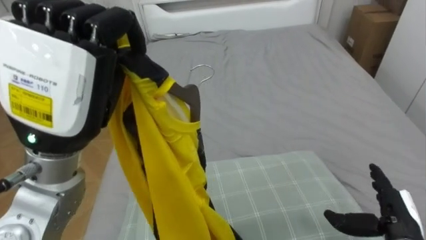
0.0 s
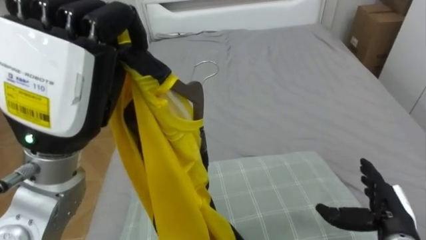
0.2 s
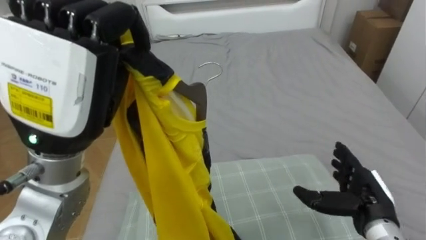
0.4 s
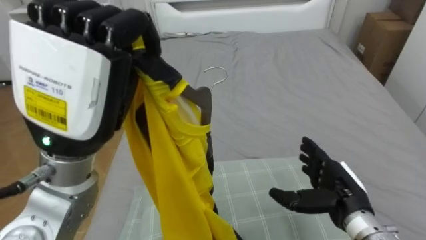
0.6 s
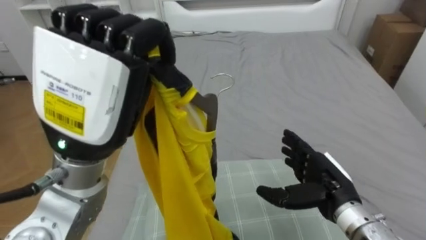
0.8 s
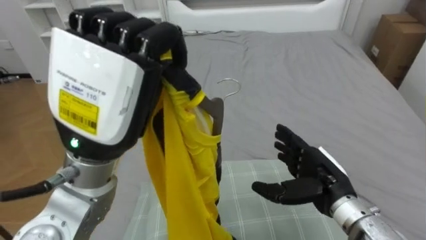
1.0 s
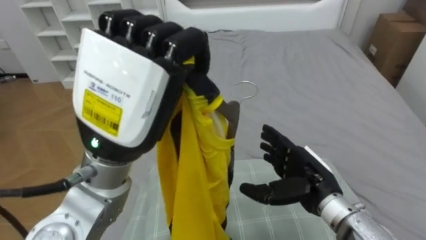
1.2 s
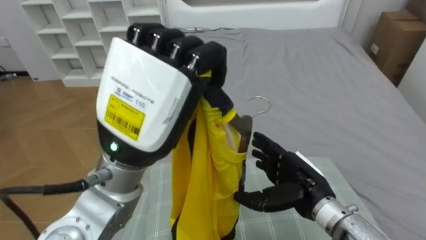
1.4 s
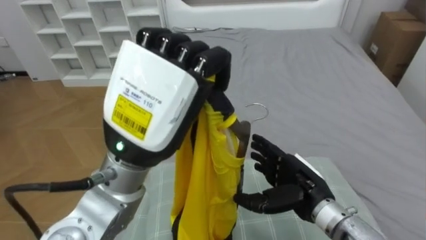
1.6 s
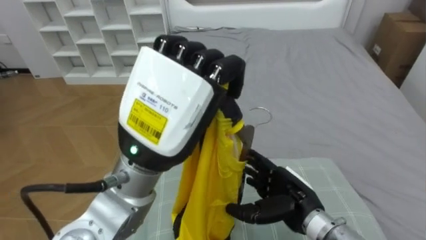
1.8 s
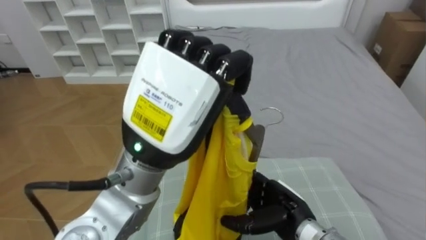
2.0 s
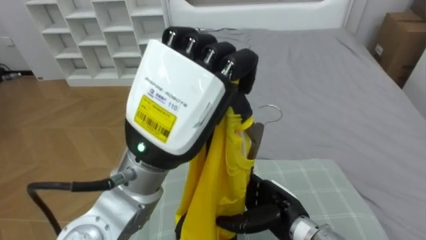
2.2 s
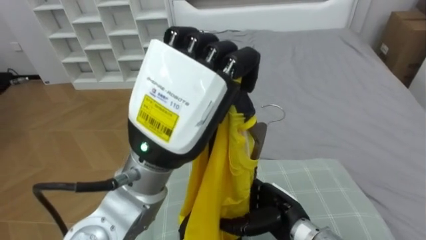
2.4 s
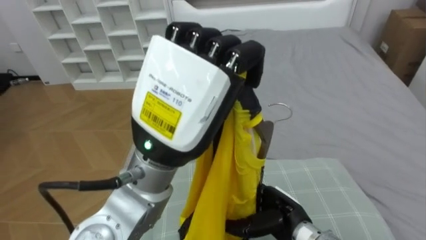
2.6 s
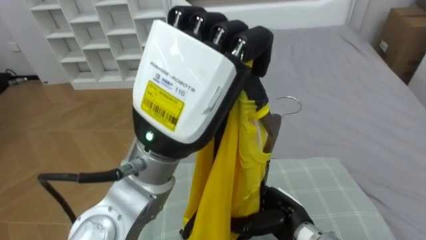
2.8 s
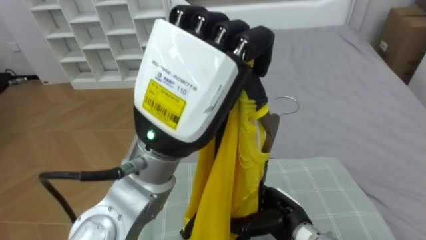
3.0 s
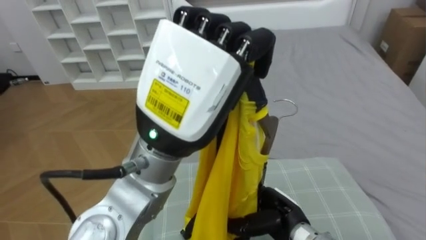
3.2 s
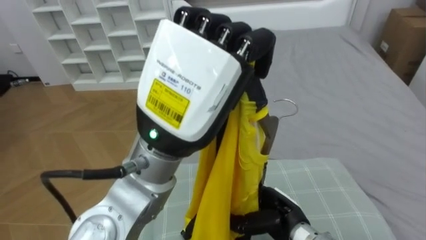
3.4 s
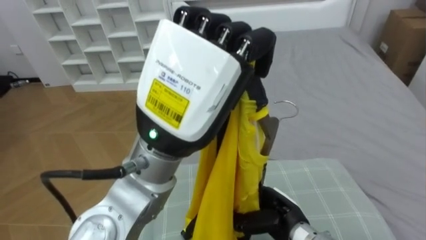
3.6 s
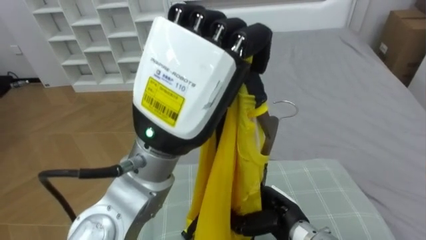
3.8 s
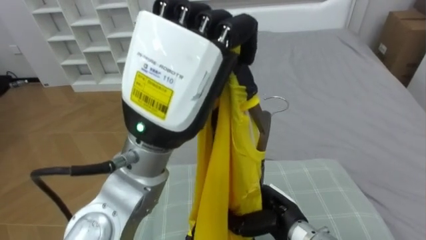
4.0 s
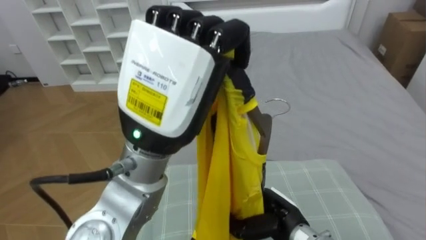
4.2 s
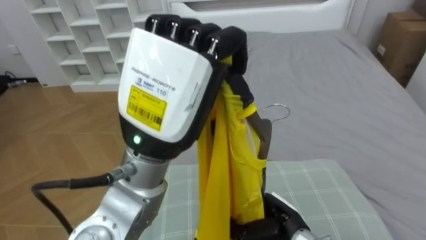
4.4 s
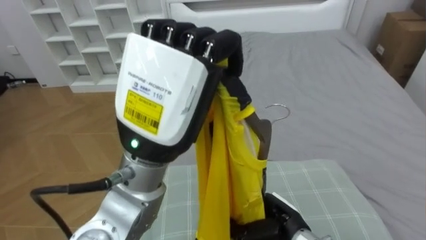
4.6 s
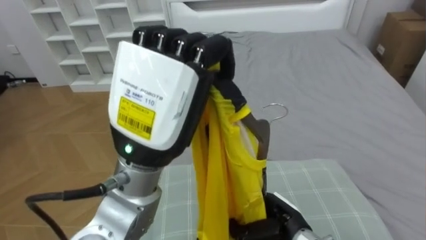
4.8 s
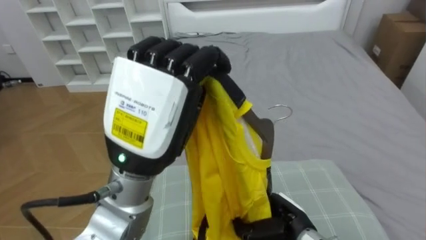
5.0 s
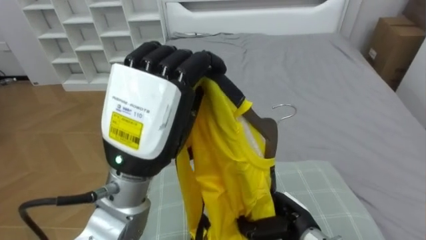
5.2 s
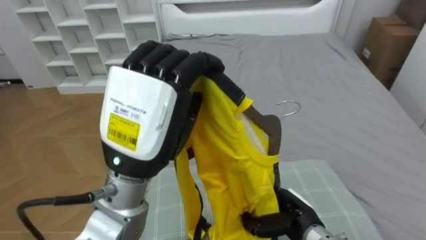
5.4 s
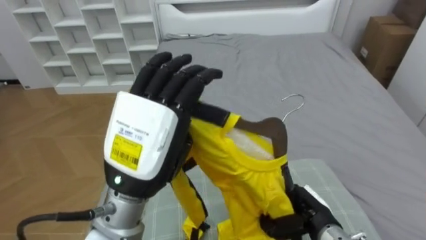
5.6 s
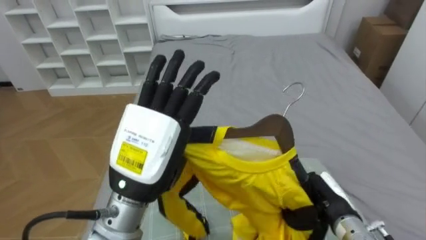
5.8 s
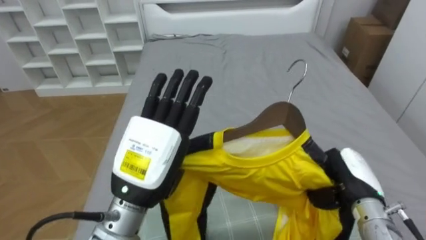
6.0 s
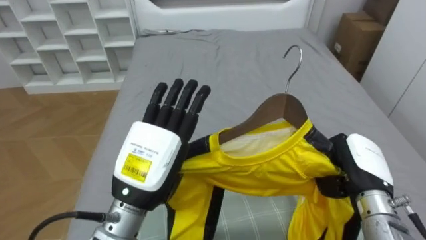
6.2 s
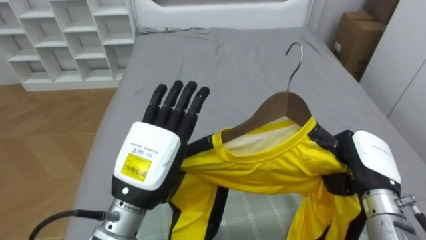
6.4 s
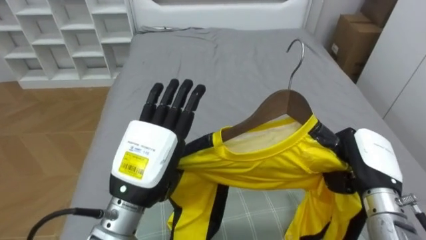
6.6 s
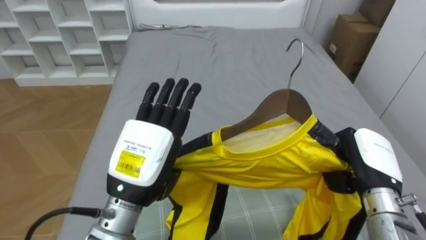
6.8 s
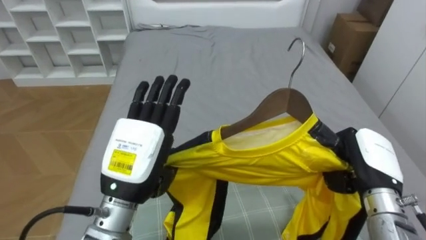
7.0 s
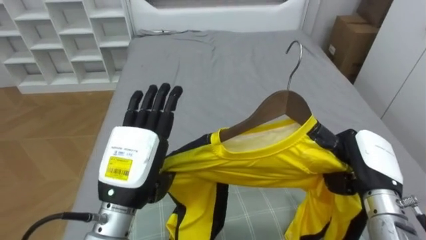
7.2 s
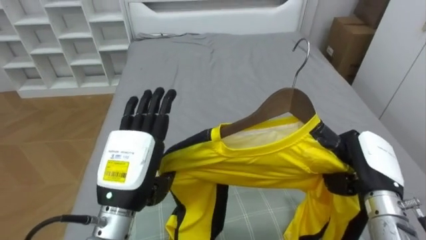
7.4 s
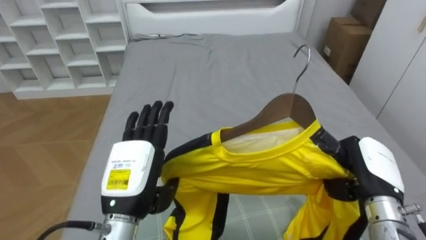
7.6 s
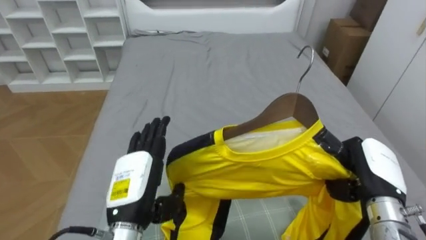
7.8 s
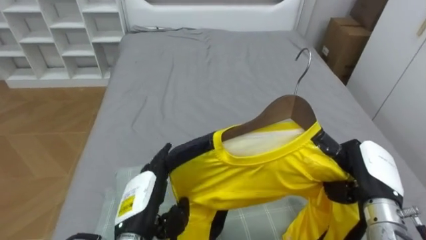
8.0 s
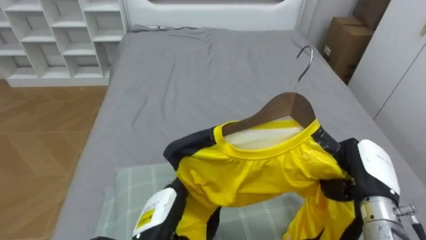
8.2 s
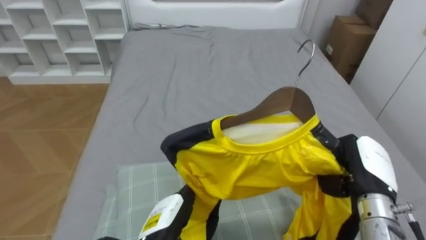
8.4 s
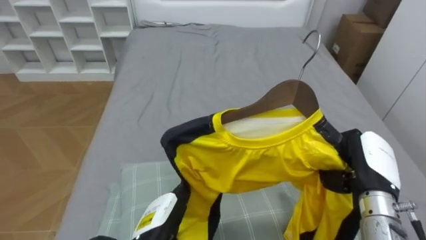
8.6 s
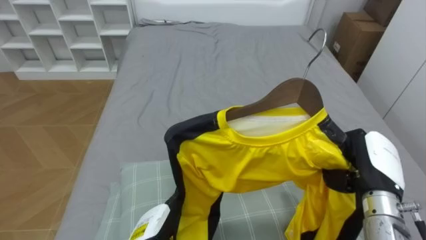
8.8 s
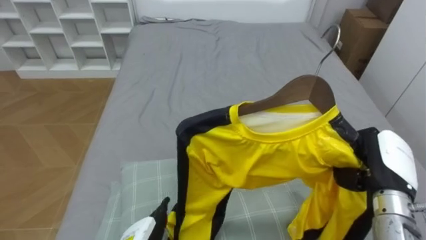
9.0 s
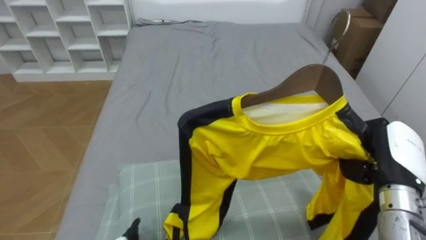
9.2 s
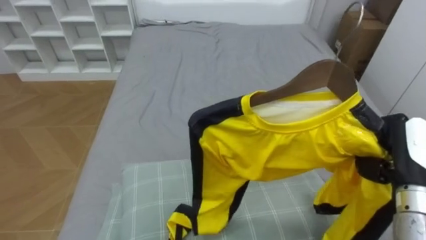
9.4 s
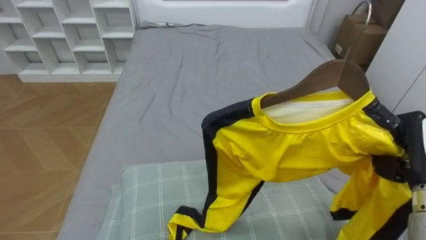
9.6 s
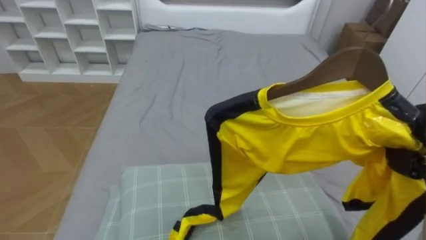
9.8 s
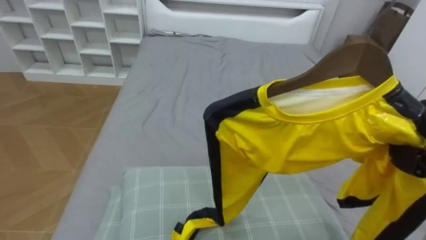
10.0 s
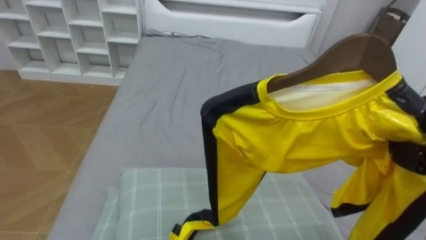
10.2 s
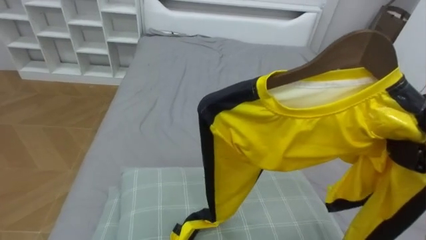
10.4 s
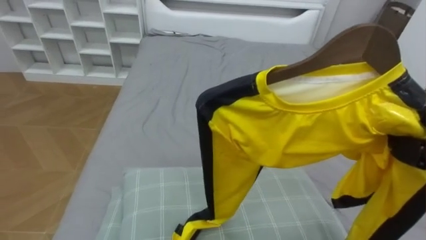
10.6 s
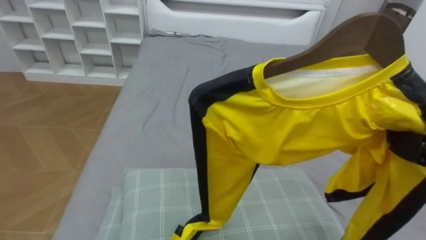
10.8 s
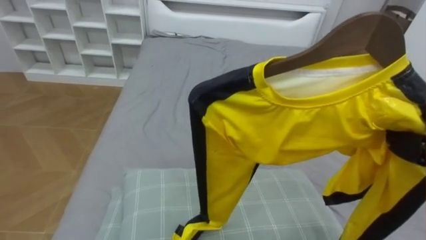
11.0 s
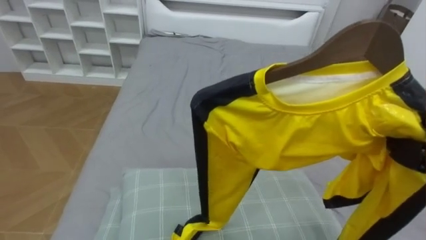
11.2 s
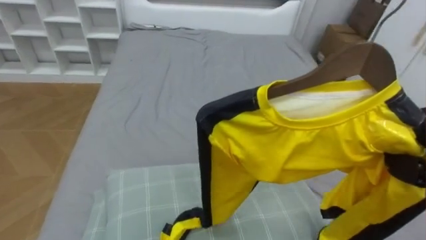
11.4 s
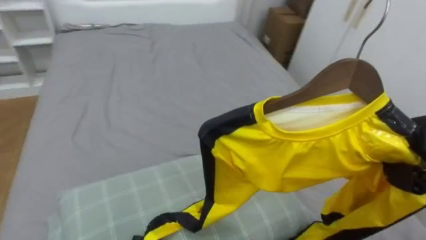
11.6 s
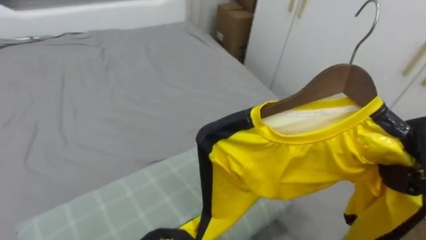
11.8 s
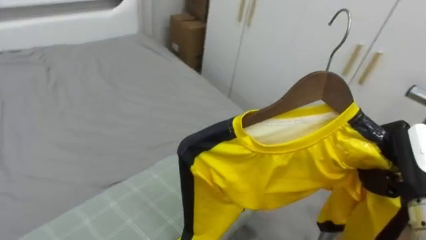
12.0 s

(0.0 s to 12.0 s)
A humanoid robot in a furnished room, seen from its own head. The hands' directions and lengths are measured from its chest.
Task of the whole recording: Pick up the yellow shirt on the bed and hang it on the clothes rack on the right.
0.0 s - 1.6 s: The right hand heads to the left, covering roughly 15 cm; the left hand is displaced to the right by some 10 cm.
1.6 s - 3.0 s: The right hand goes approximately 10 cm downward.
3.0 s - 4.4 s: The right hand closes up.
4.4 s - 6.0 s: The left hand heads downward, covering roughly 15 cm, and opens its fingers. The right hand moves to the right and upward, approximately 15 cm.
6.0 s - 7.6 s: The left hand travels downward by approximately 5 cm.
10.4 s - 12.0 s: The robot turns to its right by about 35 degrees.

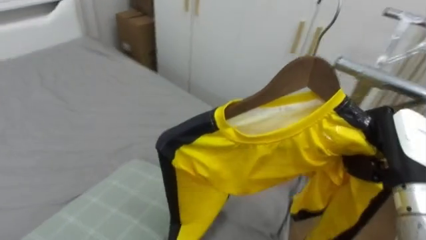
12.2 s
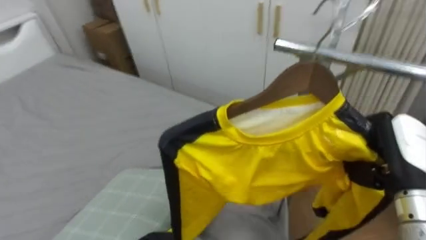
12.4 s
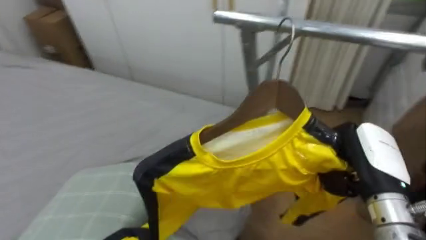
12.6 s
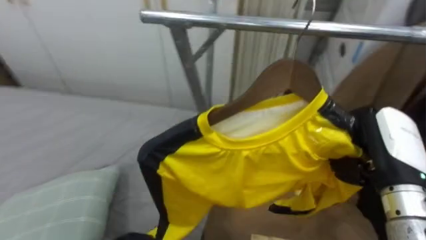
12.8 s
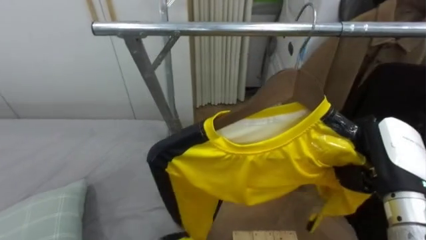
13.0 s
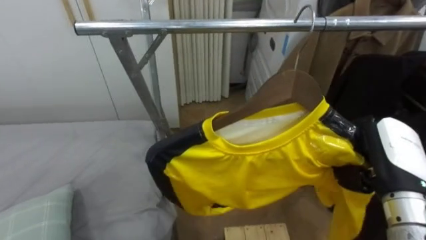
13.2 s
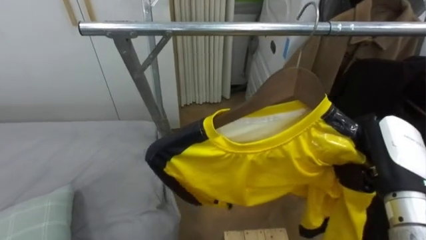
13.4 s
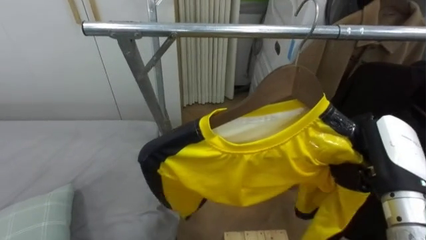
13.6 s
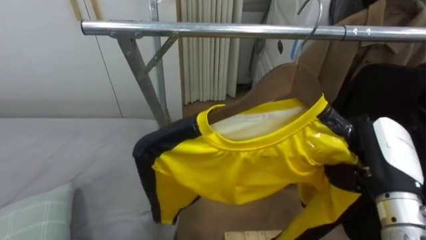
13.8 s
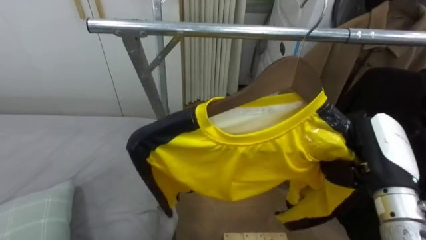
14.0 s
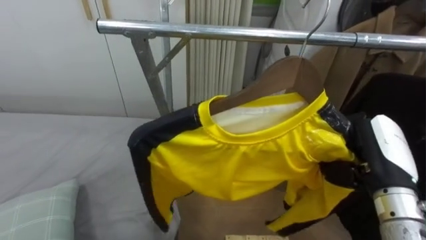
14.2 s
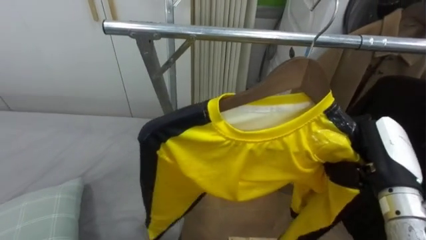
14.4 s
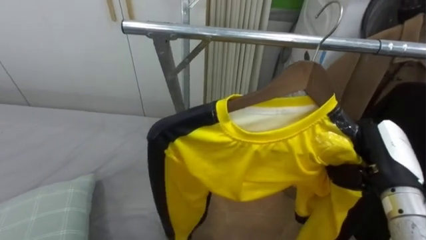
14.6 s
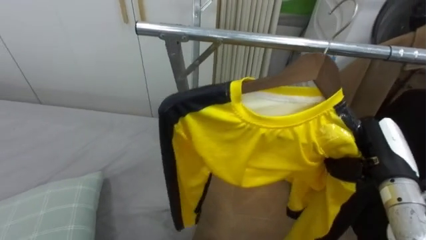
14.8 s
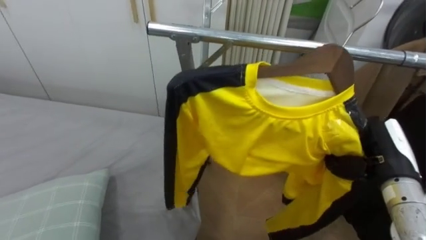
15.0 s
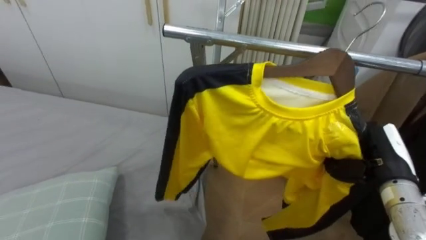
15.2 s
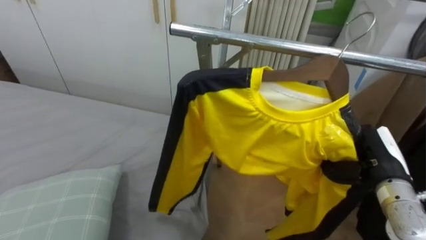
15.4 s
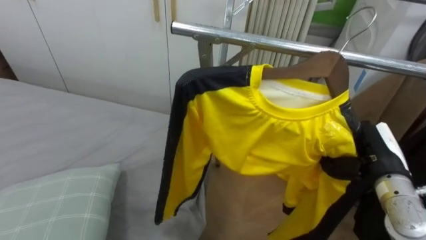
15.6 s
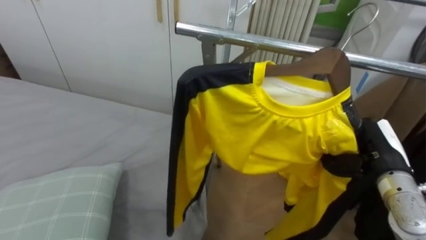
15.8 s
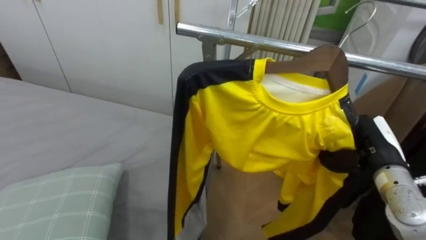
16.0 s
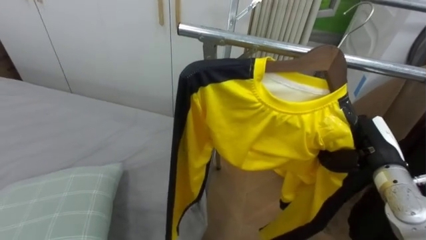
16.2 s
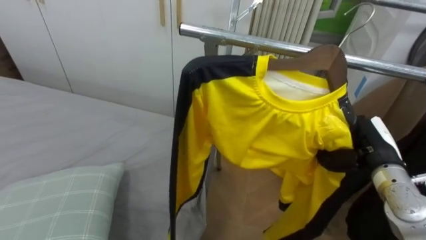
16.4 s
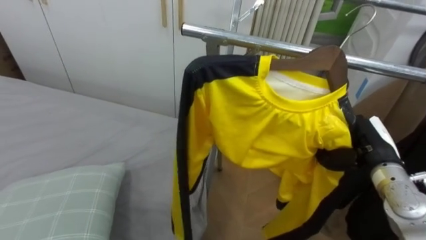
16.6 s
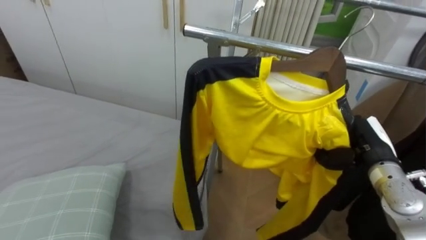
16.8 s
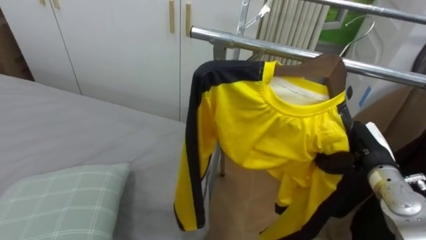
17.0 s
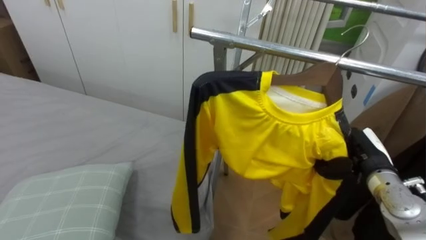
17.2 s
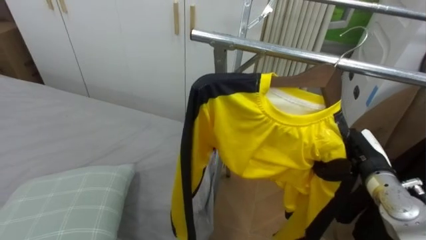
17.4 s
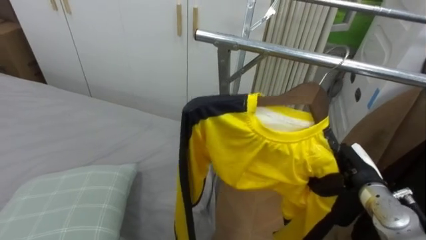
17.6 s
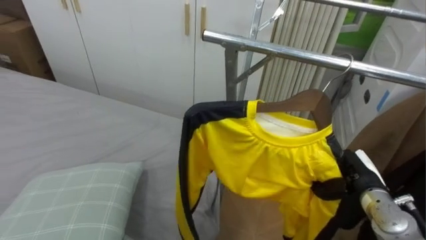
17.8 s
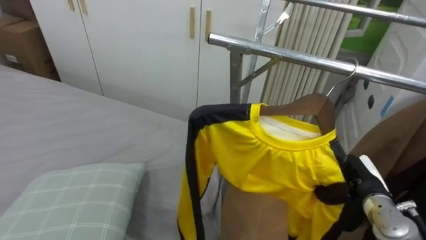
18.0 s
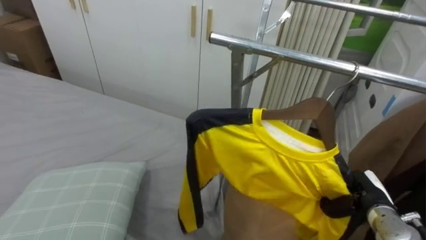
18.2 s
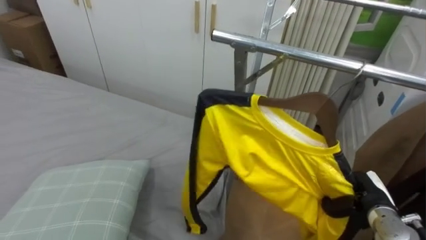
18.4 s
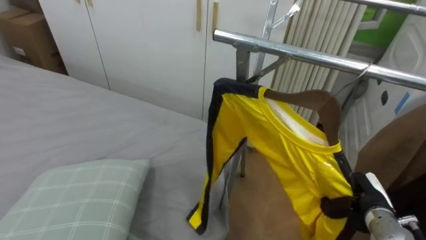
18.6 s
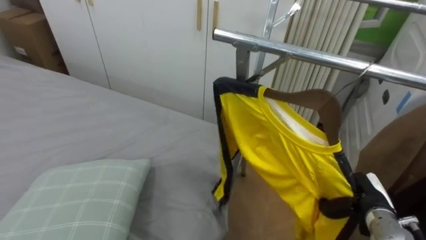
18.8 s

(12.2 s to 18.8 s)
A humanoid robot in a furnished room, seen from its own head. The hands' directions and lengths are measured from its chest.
Task of the whole recording: Pick up the yellow shirt on the bed and hang it on the clothes rack on the right.
12.2 s - 13.8 s: The robot turns to its right by roughly 45 degrees.
13.8 s - 15.4 s: The right hand moves downward, roughly 5 cm.
15.4 s - 17.2 s: The right hand shifts by approximately 5 cm.
17.2 s - 18.8 s: The right hand shifts approximately 10 cm downward.
